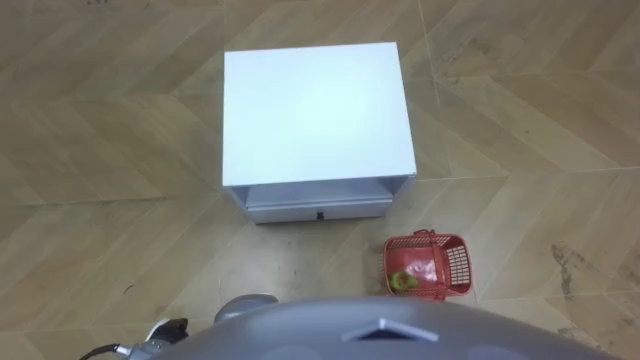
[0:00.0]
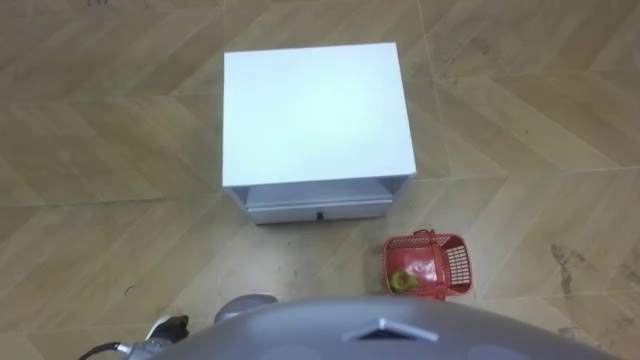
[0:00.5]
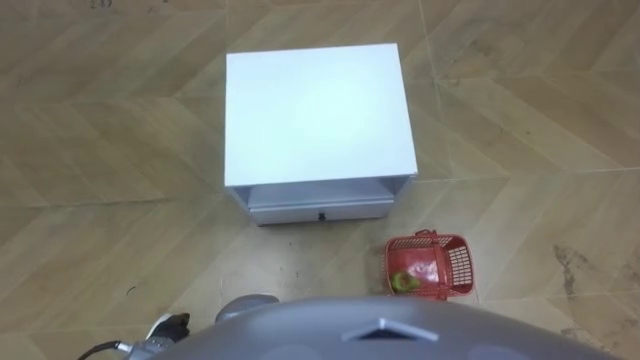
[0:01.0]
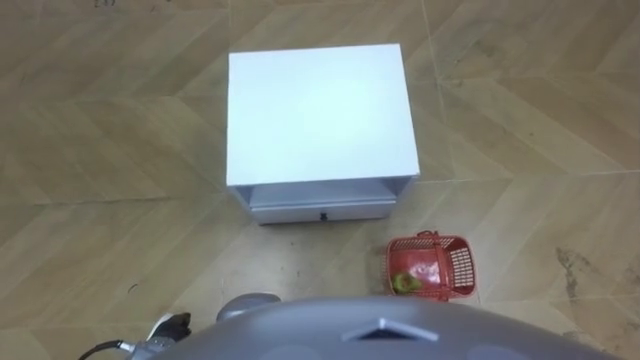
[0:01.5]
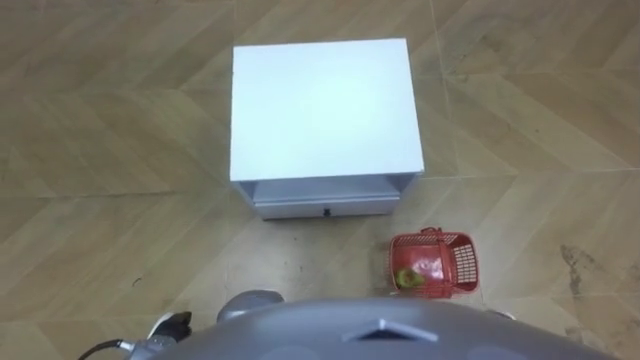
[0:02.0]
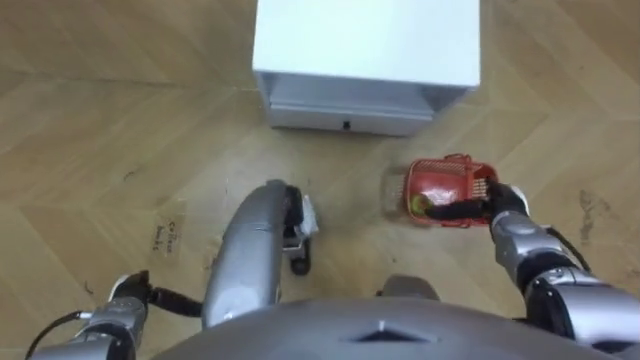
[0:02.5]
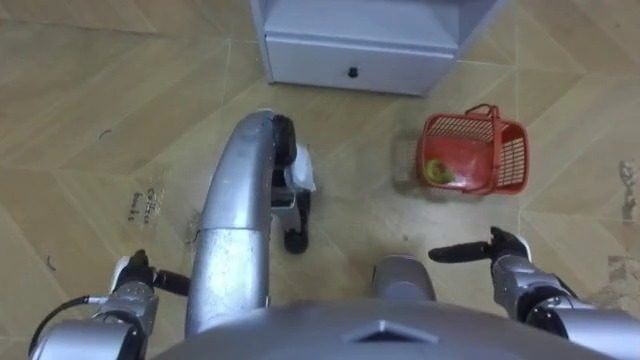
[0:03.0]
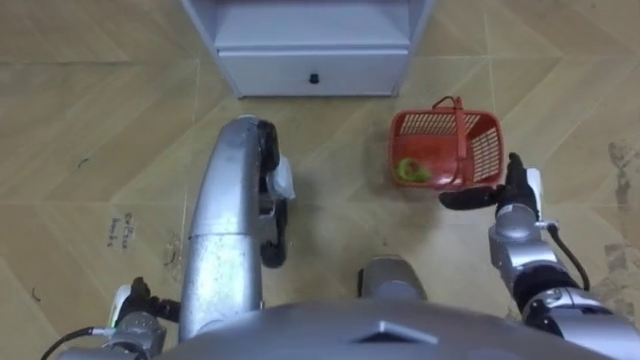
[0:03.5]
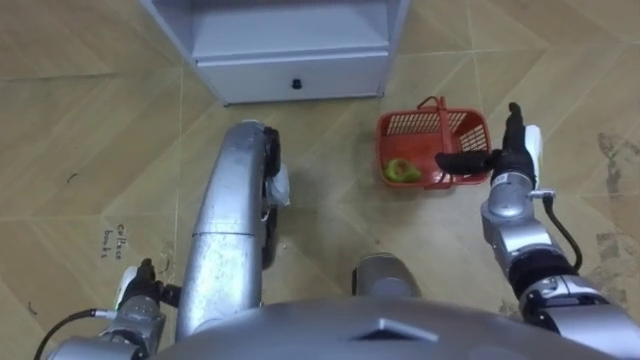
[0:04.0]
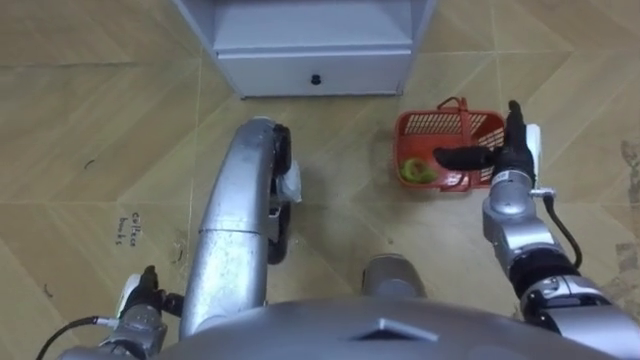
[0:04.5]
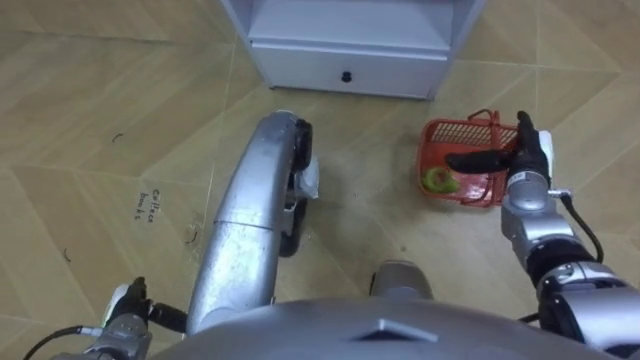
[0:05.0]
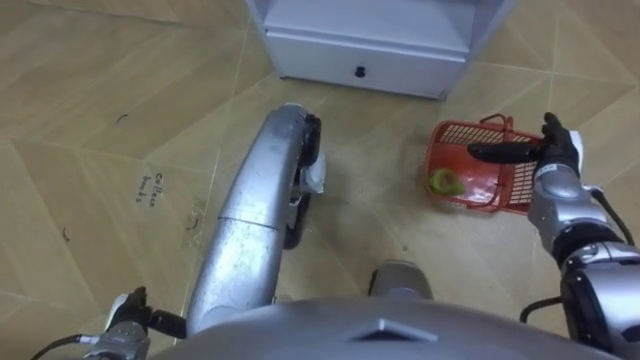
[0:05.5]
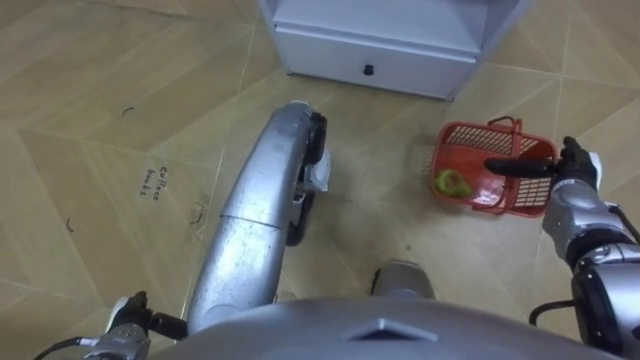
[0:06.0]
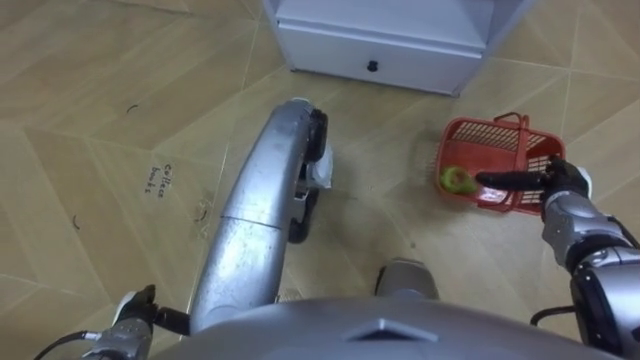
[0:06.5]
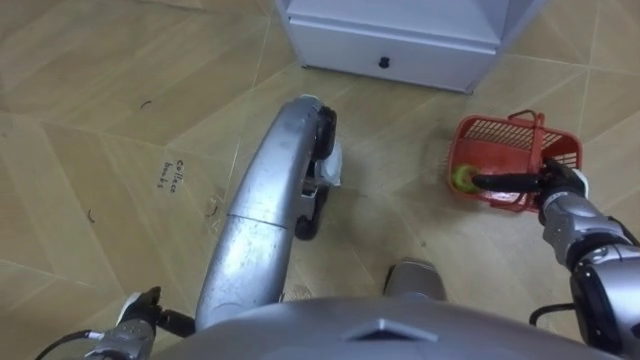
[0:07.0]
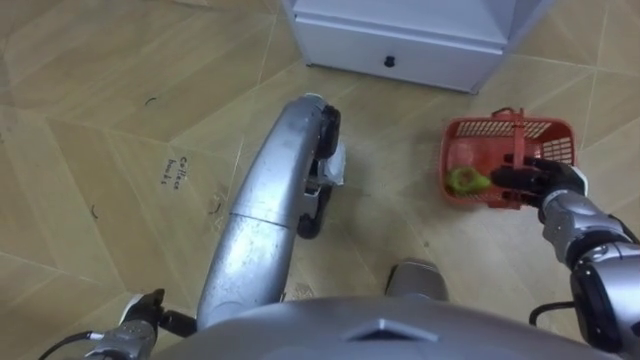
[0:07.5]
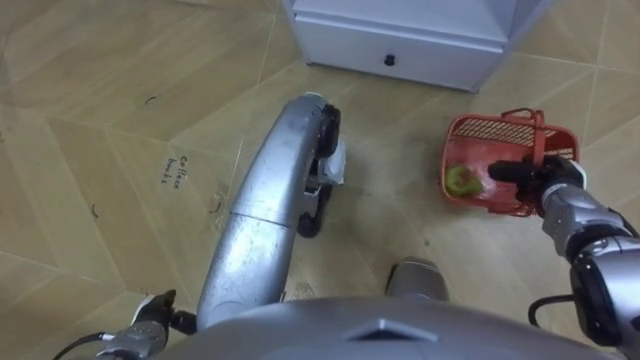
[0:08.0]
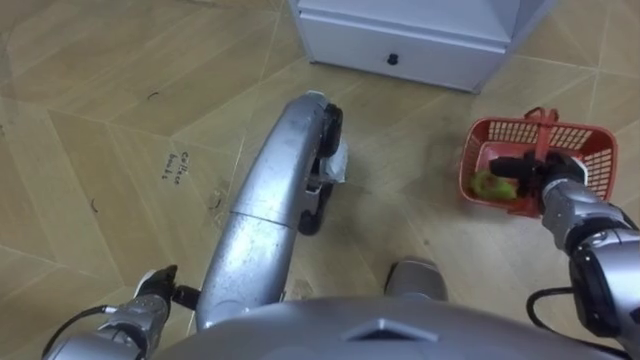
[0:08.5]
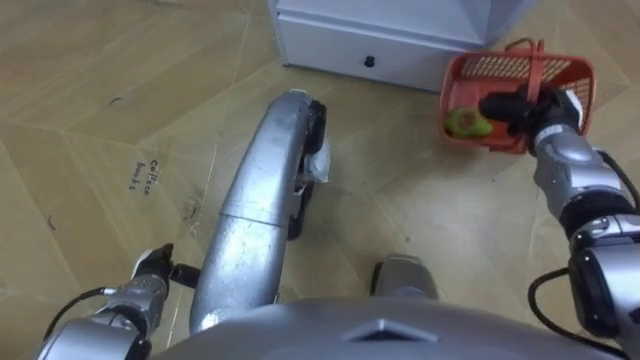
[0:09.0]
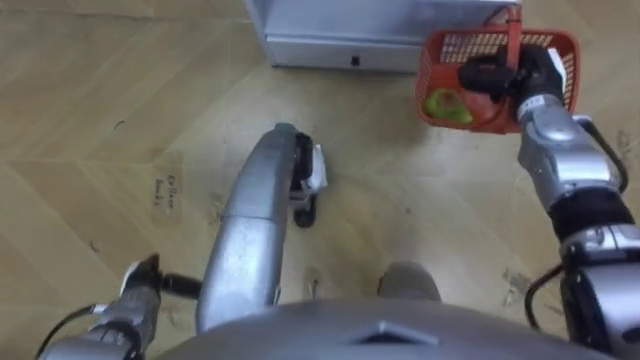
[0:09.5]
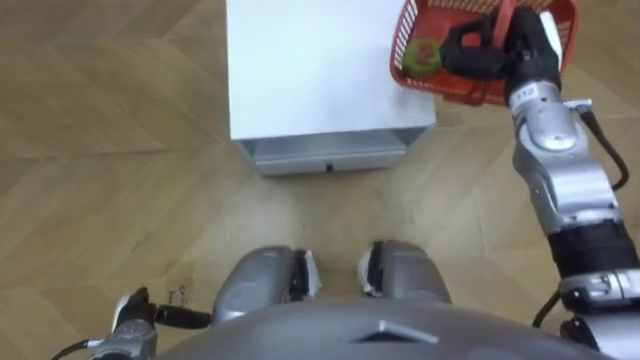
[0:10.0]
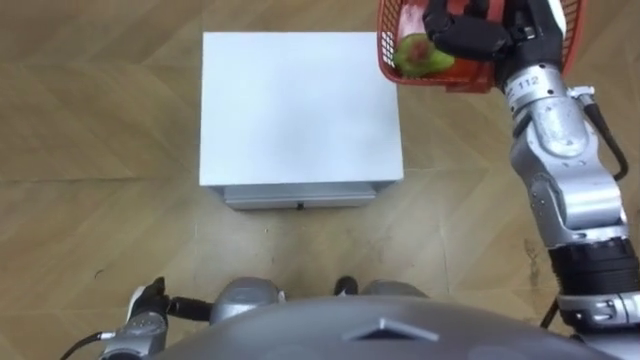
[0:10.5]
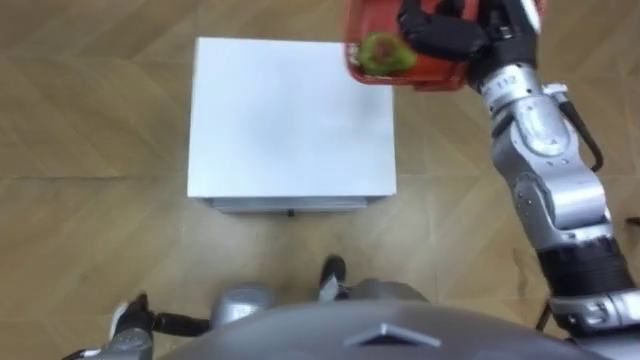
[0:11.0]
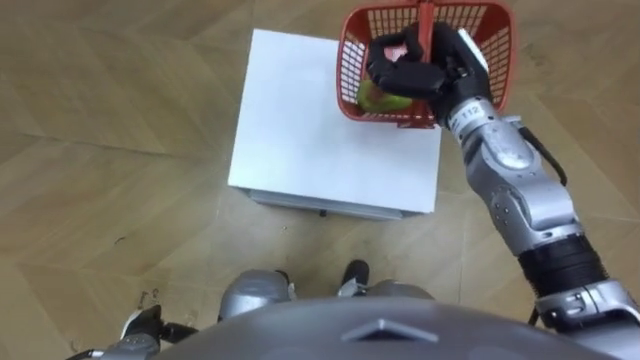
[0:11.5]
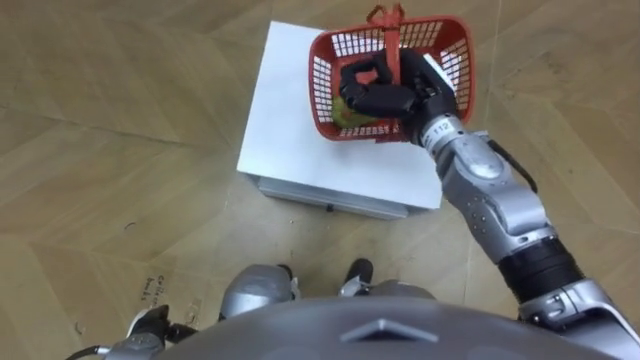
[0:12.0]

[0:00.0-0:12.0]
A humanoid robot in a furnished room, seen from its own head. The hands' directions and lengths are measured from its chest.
Task of the whole recording: Pick up the fruit basket from the floor and place it on the cabinet.
0:02.0 to 0:04.0: The right hand swings forward and backward, roughly 25 cm each way, with 2 reversals. Meanwhile the left hand goes about 5 cm forward.
0:04.0 to 0:06.0: The right hand shifts approximately 10 cm to the right.
0:06.0 to 0:08.0: The right hand closes its fingers.
0:08.0 to 0:10.0: The right hand moves upward, forward and to the left, roughly 20 cm.
0:10.0 to 0:12.0: The right hand is displaced to the left by roughly 10 cm.

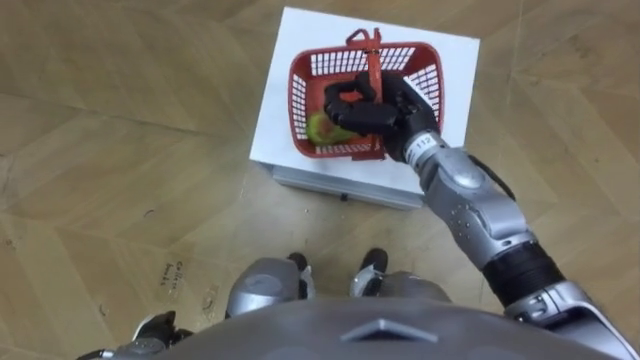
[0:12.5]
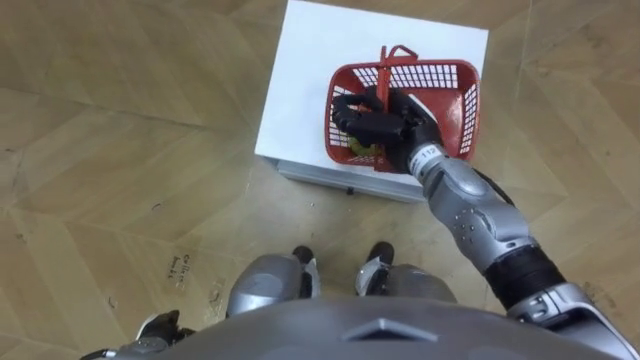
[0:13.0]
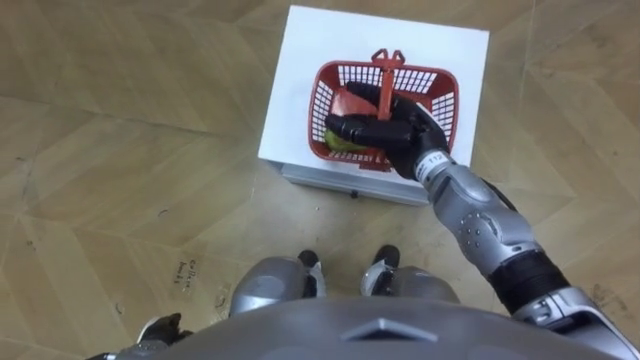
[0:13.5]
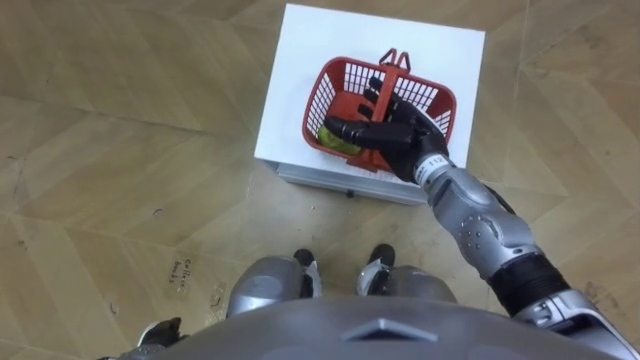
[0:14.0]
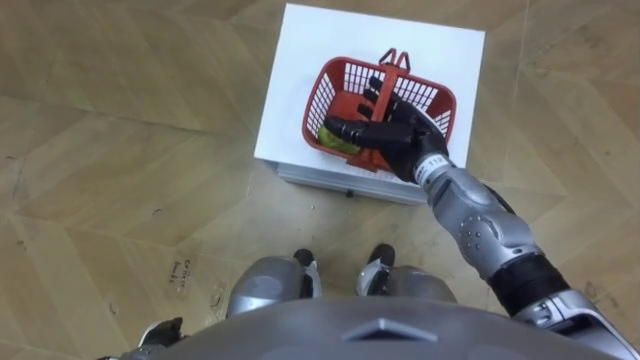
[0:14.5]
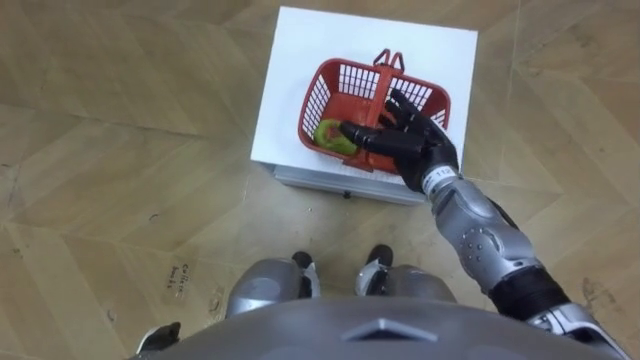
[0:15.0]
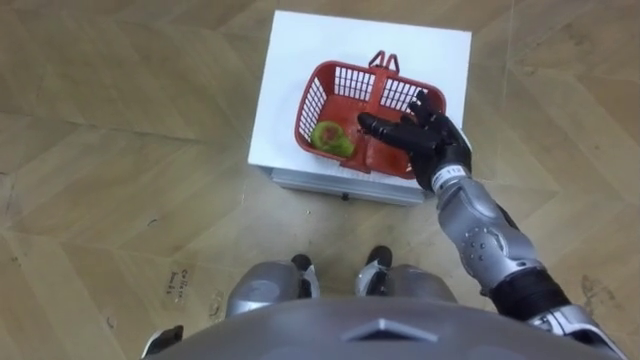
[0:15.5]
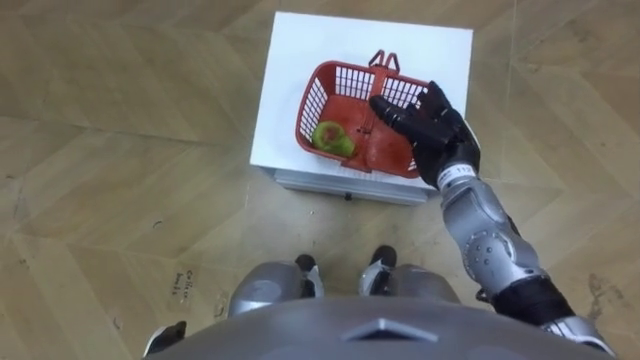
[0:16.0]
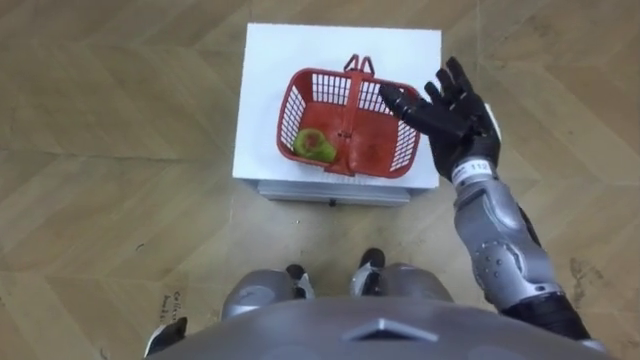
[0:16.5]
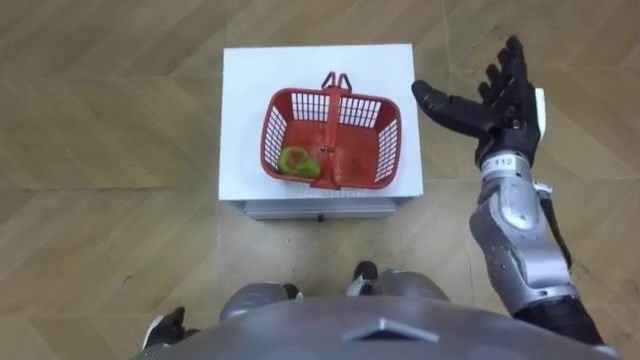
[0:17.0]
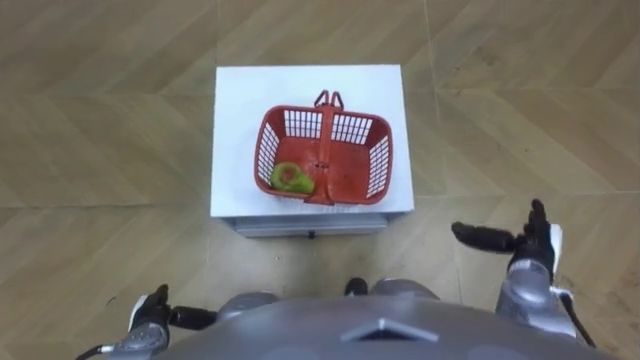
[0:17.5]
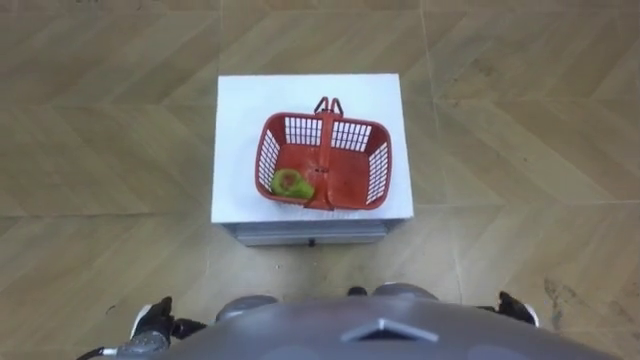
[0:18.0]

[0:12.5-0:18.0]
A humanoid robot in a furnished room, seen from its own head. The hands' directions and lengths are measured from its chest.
Task of the whole recording: Pick up the fruit basket from the floor and place it on the cabinet.
0:12.5 to 0:14.5: The right hand opens.
0:14.5 to 0:16.0: The right hand is displaced to the right by about 5 cm.
0:16.0 to 0:18.0: The right hand shifts some 30 cm backward, downward and to the right.

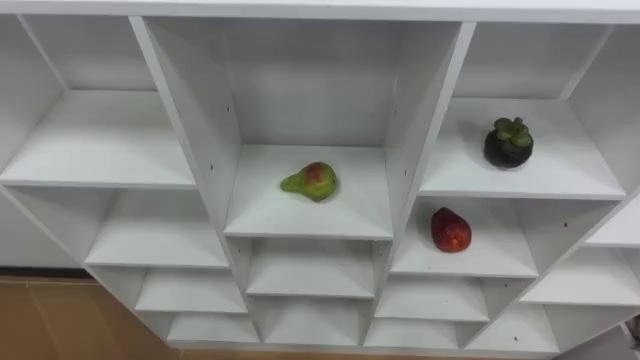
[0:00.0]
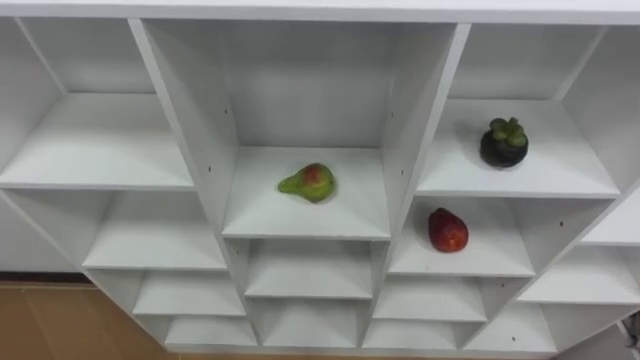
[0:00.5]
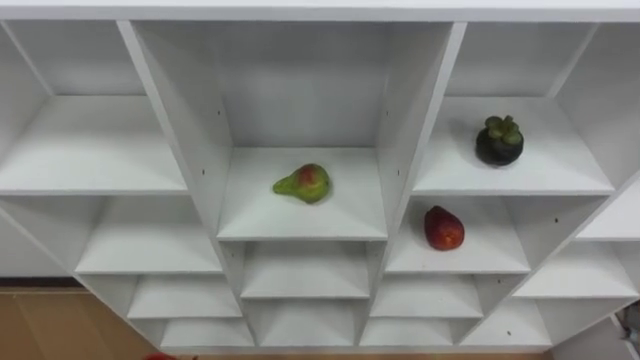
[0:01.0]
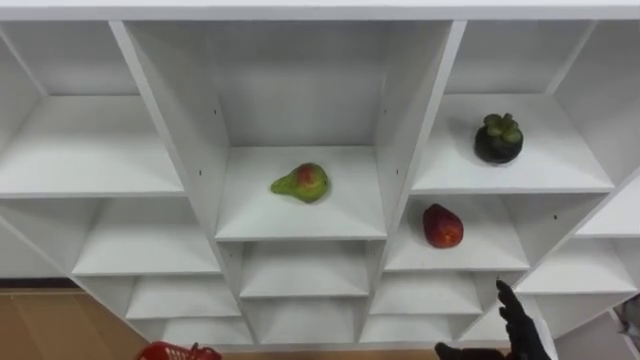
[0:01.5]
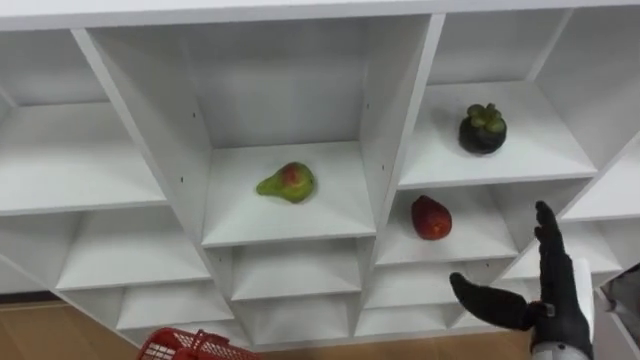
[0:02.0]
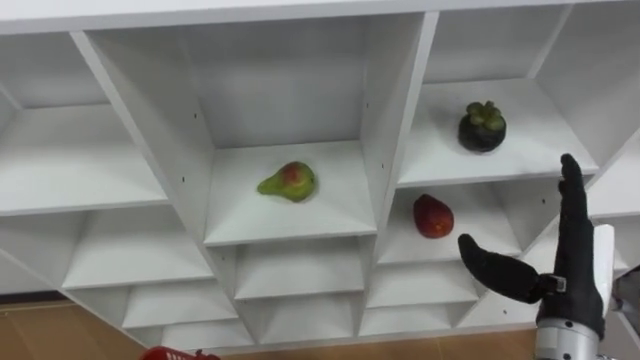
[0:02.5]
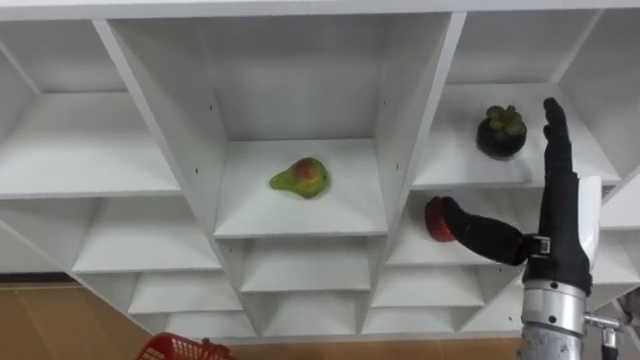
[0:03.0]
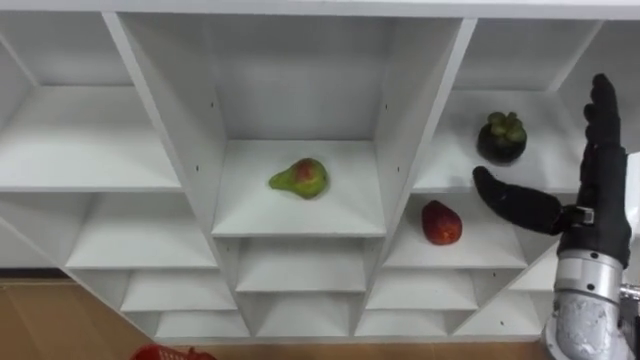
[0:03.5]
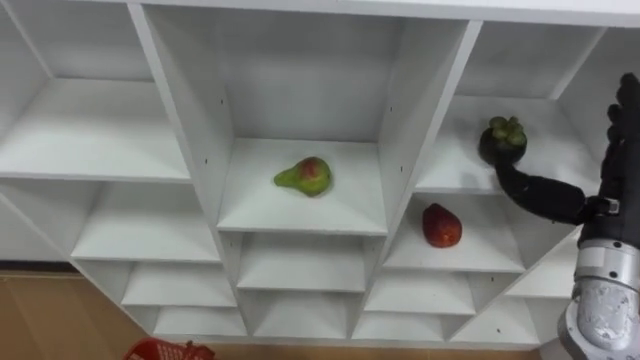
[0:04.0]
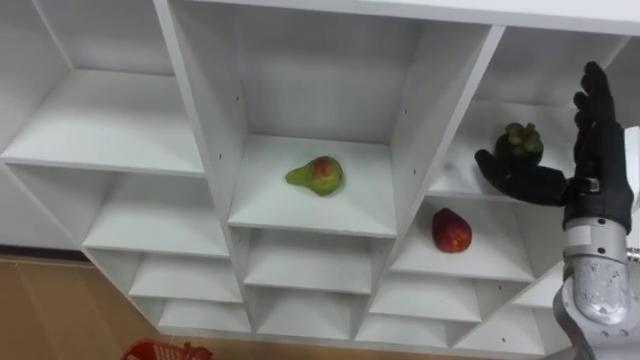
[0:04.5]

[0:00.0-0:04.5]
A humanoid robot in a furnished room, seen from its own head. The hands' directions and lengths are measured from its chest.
Task of the whole recording: Hold the basket and collect the fruits from 3 different cells of the closet into it.
0:02.0 to 0:04.5: The right hand goes some 15 cm upward and forward.
